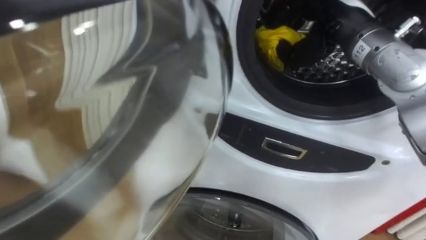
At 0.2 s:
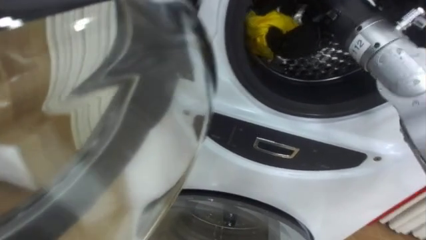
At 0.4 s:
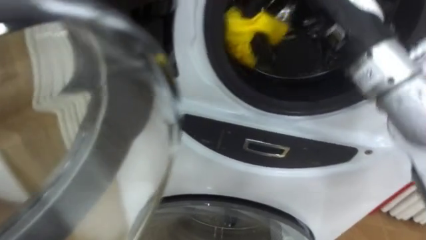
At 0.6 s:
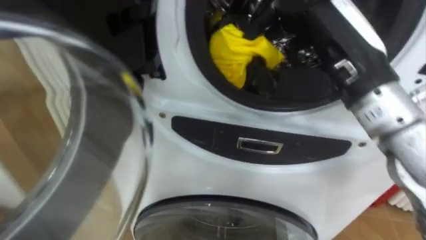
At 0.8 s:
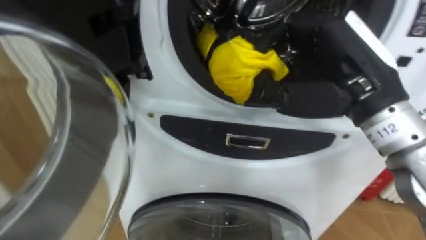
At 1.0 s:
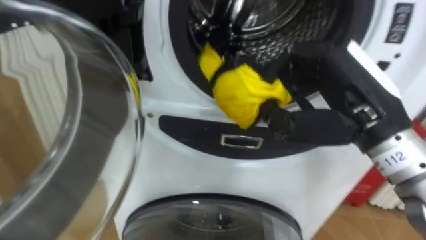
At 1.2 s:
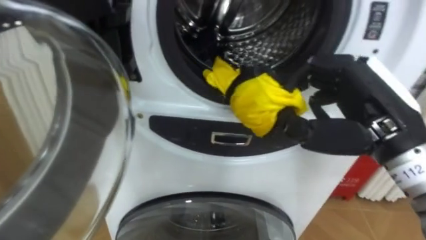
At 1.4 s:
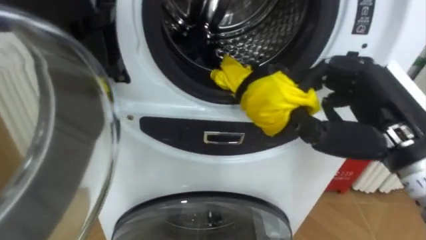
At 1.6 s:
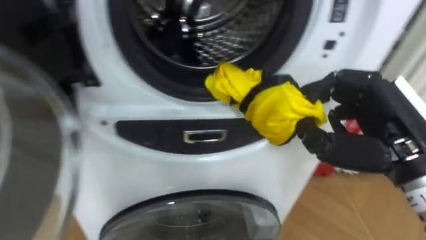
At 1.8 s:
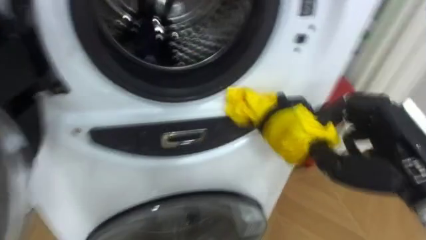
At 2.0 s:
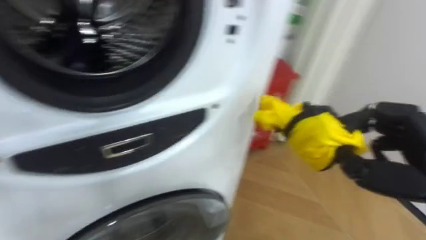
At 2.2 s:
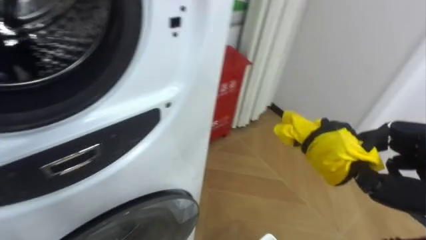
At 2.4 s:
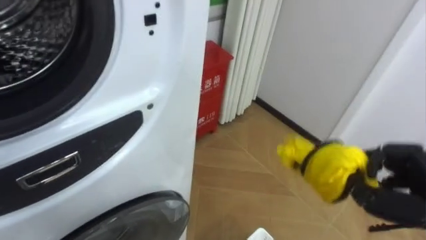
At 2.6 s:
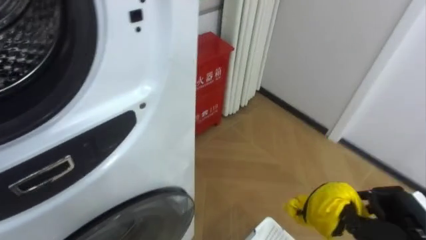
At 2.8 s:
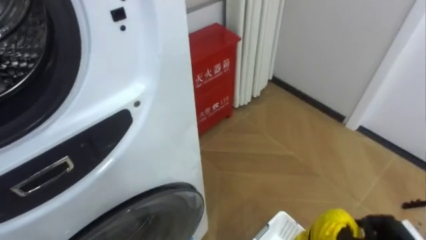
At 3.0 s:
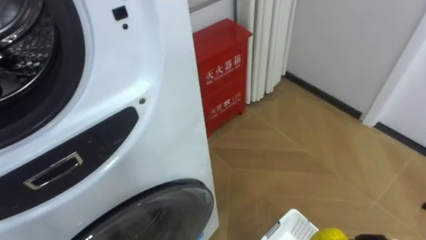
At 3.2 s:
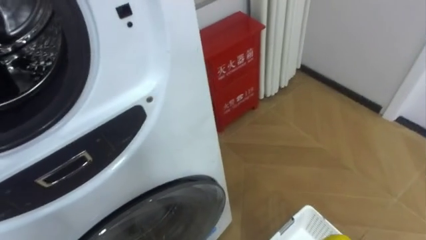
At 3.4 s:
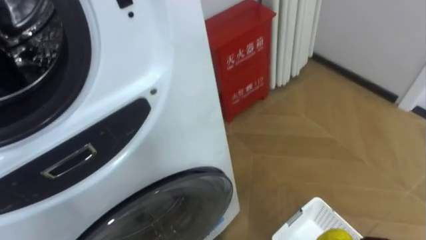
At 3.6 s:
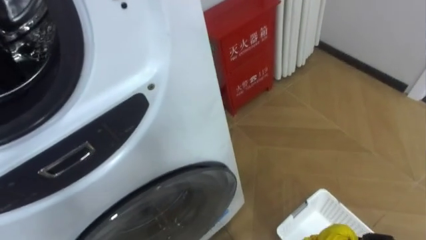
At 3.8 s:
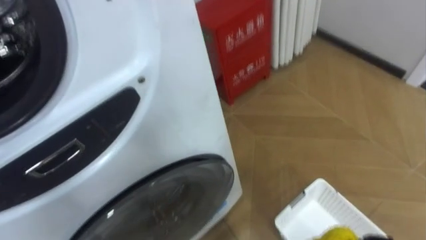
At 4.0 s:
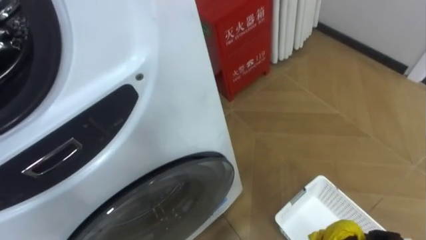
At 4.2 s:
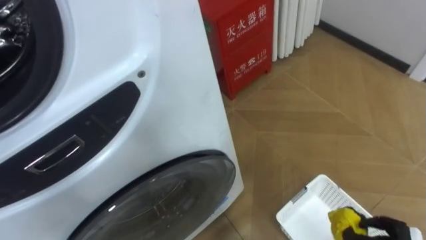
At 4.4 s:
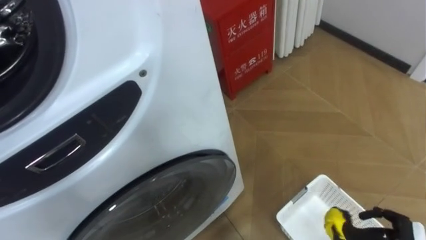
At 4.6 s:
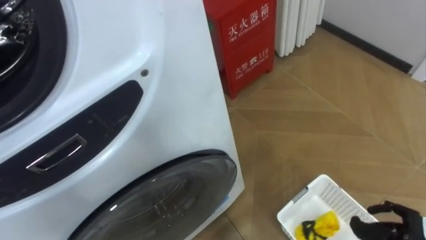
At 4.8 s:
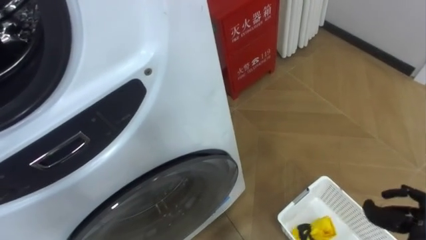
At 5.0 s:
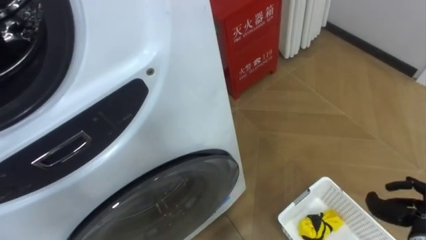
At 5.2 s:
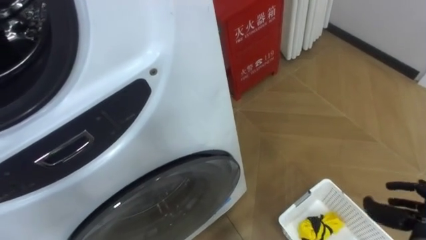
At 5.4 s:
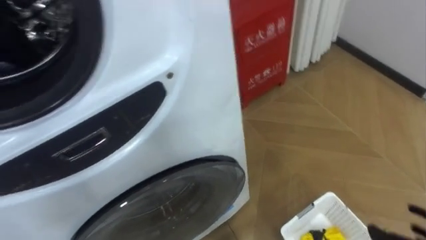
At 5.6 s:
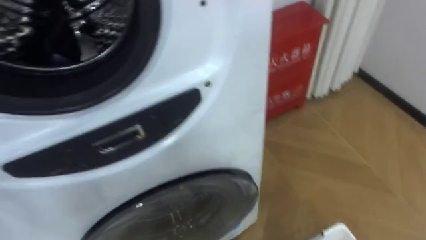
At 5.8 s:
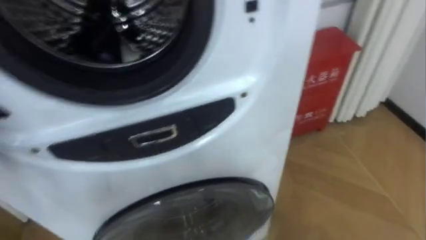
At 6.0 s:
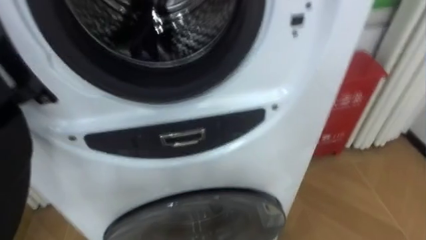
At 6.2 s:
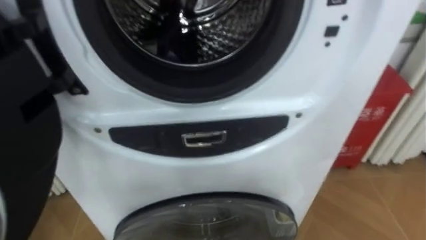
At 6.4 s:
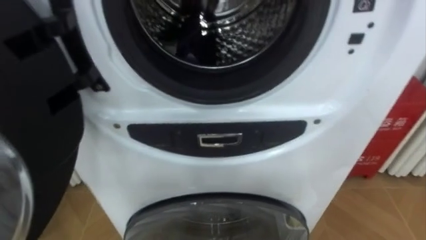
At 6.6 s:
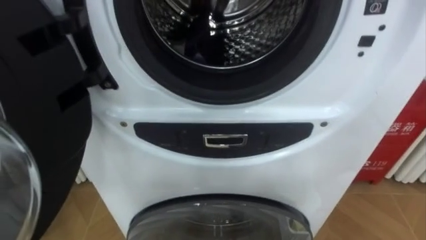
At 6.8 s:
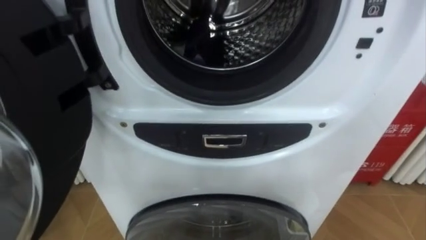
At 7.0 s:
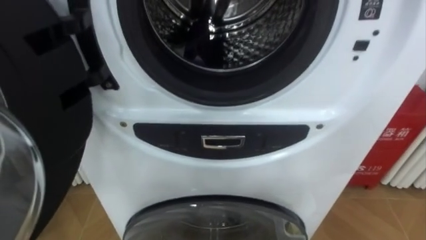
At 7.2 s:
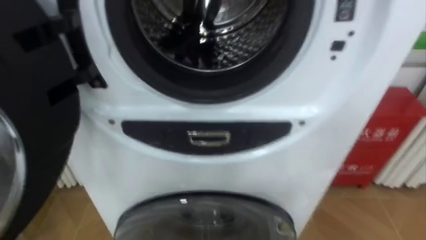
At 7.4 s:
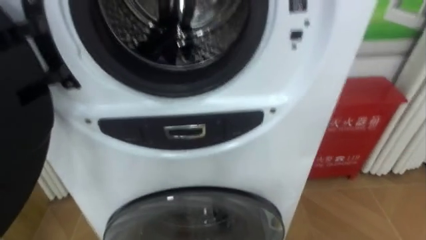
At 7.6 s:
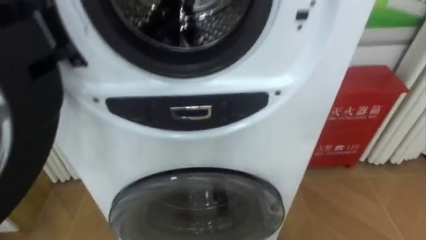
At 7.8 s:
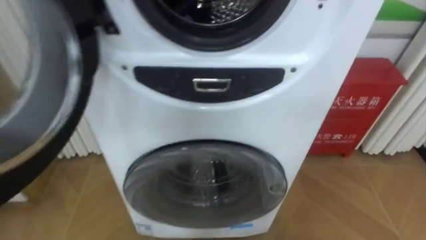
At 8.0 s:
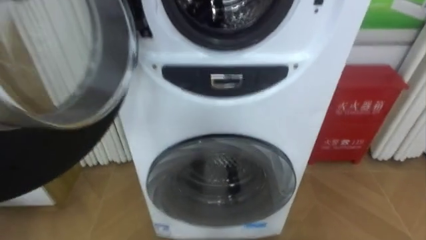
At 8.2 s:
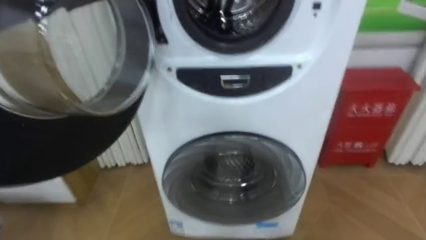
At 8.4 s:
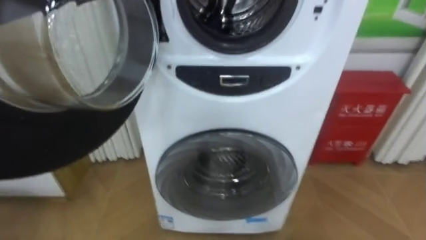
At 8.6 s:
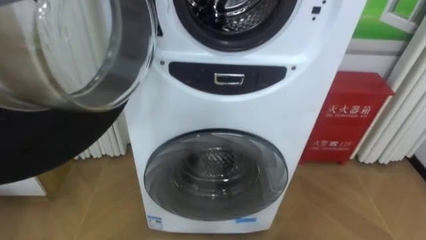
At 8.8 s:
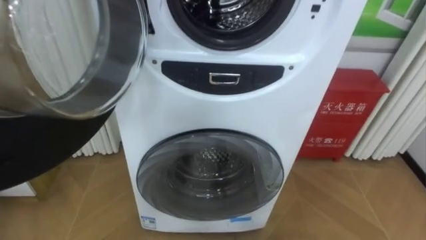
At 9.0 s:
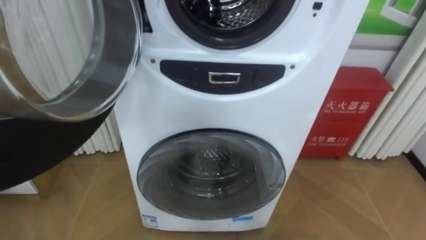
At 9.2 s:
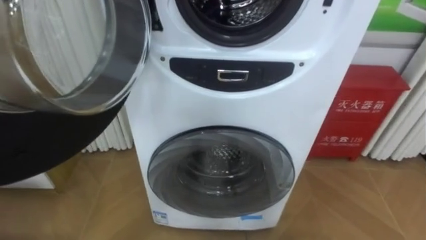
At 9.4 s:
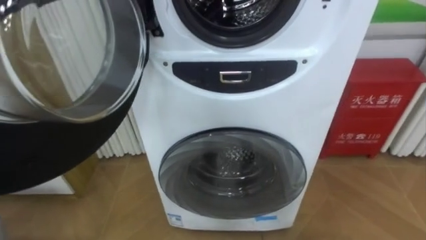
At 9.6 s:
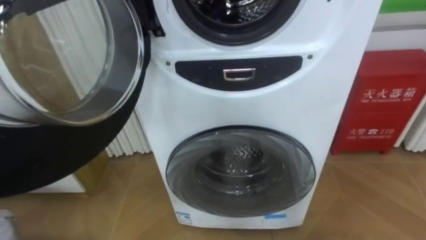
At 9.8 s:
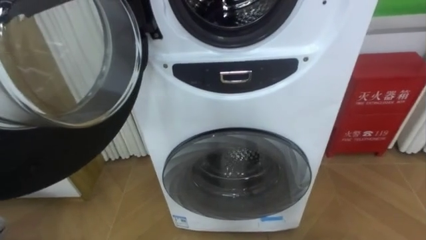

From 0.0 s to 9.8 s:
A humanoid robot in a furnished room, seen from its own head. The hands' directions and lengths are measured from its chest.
Task of the whole recording: Open the washing machine door, take out the yellow clothes, place them in the box on the right, and close the washing machine door.
From 0.0 s to 1.4 s: The right hand moves backward, approximately 15 cm.
From 1.4 s to 2.8 s: The robot faces approximately 25 degrees further to its right.

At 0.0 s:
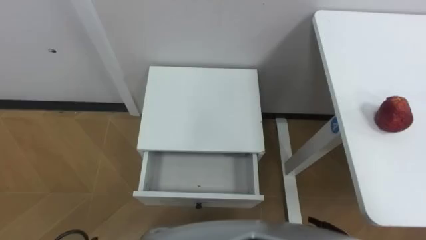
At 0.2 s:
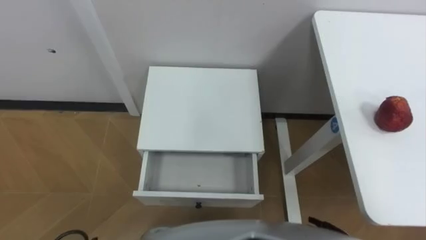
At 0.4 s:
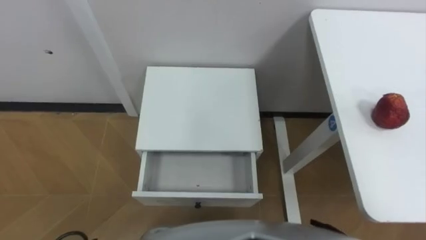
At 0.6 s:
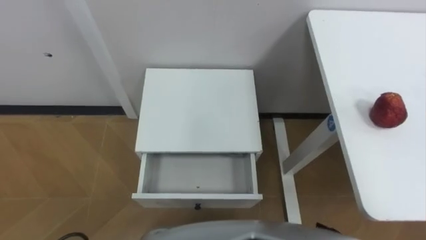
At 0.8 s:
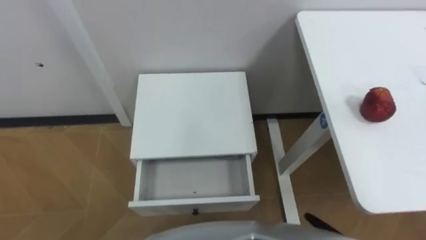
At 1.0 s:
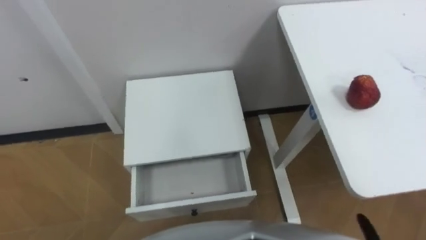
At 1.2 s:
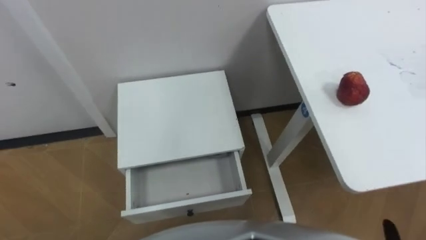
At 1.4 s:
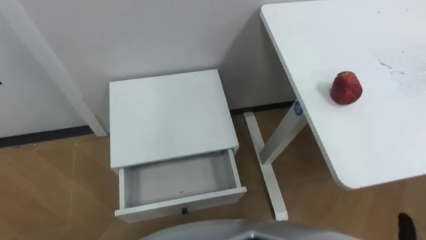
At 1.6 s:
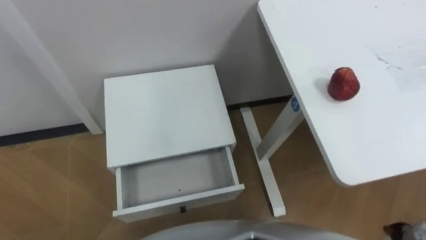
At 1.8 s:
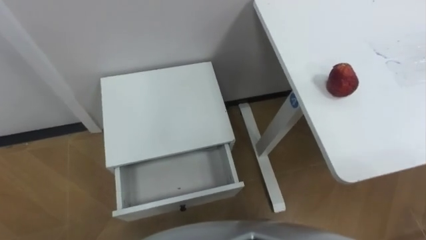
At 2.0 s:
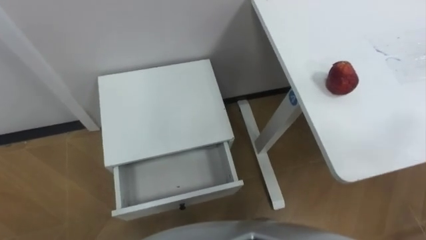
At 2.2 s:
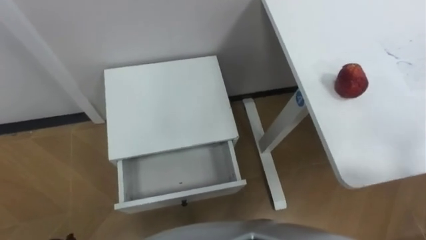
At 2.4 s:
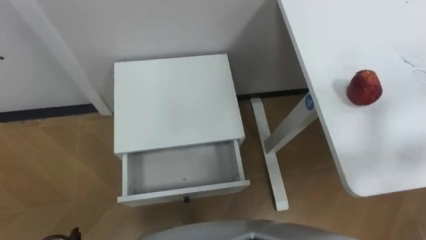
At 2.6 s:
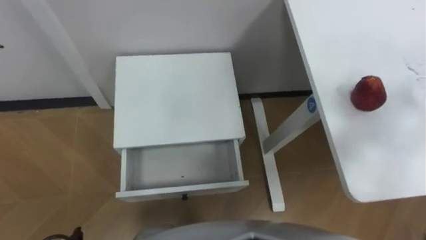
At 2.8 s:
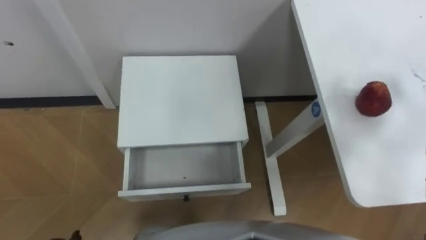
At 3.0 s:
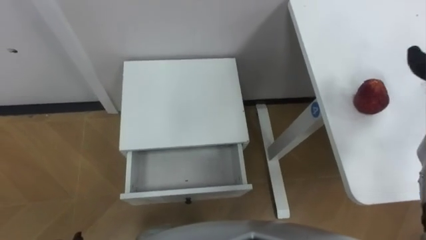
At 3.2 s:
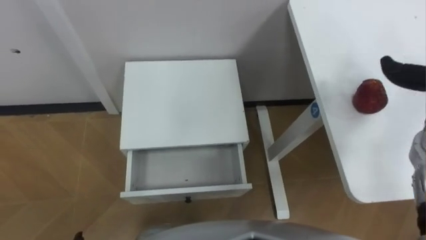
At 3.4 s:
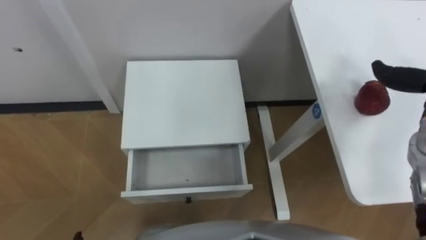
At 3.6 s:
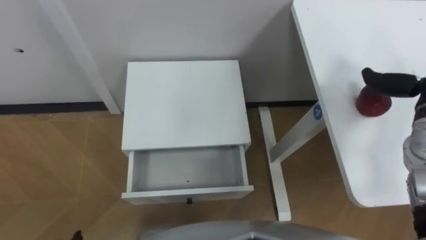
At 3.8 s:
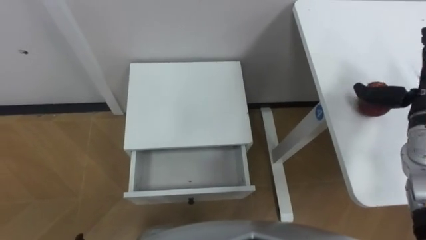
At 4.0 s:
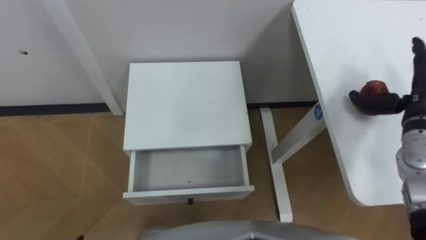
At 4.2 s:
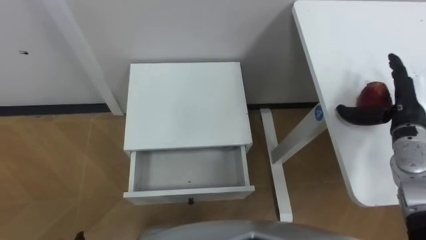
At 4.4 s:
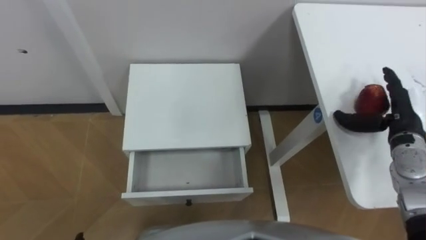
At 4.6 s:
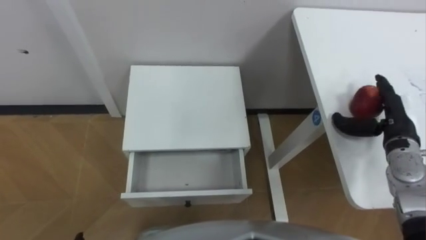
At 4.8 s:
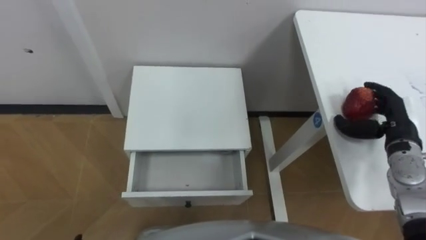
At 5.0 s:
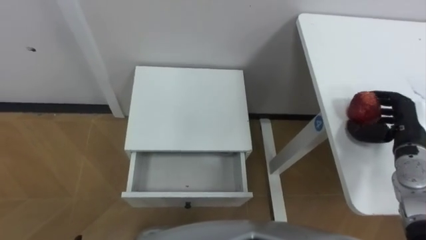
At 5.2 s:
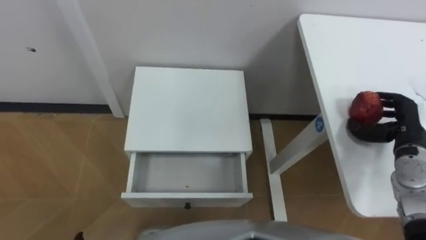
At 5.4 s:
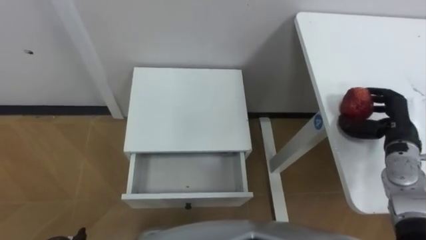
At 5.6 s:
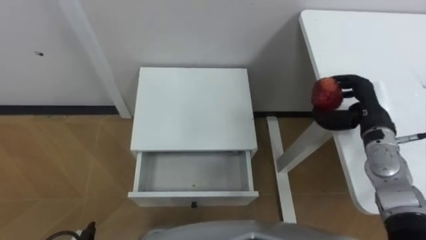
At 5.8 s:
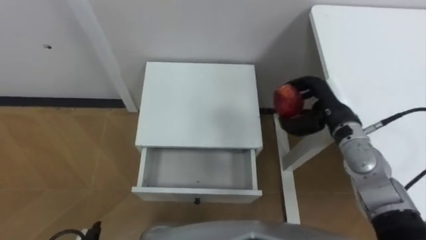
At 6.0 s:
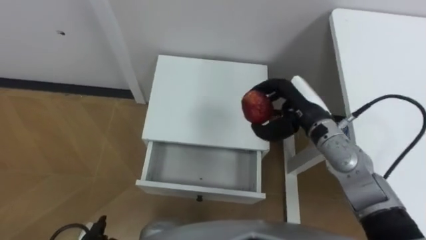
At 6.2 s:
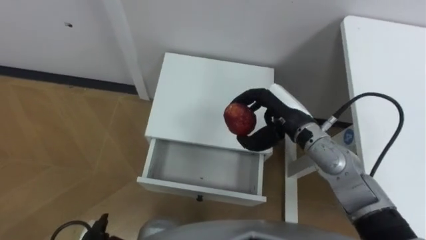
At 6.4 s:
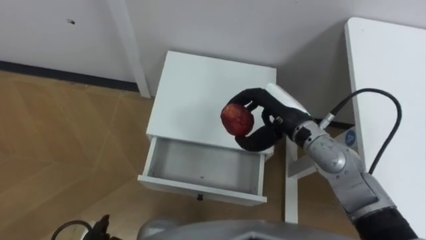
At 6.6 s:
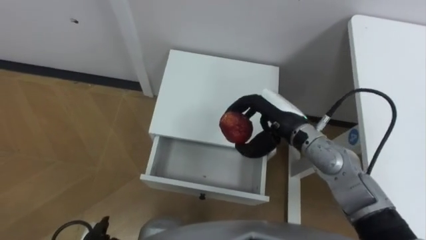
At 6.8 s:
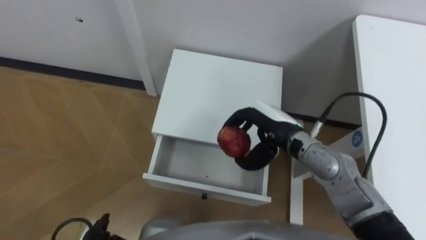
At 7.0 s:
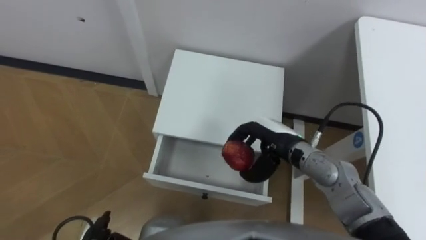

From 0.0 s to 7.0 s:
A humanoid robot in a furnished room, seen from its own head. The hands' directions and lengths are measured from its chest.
Task of the whole recording: Pick up the apple from the table, put it in the drawer, and close the drawer with leg.
From 4.2 s to 5.6 s: The right hand moves to the left, approximately 5 cm, and closes.
From 5.6 s to 7.0 s: The right hand shifts about 20 cm to the left.
